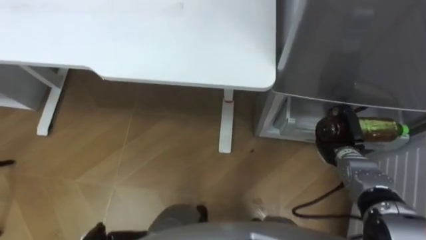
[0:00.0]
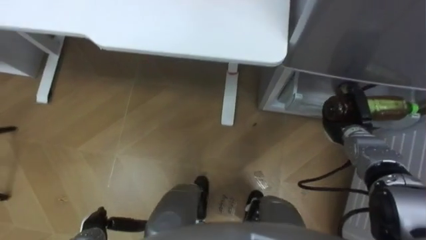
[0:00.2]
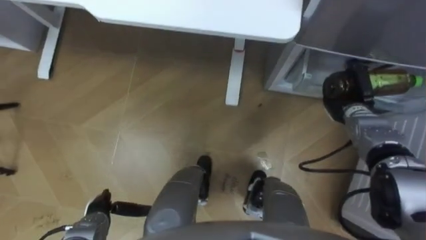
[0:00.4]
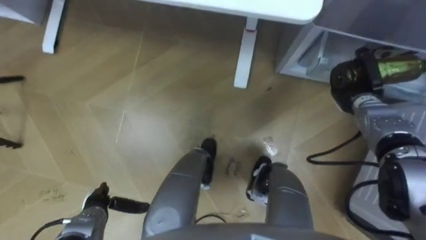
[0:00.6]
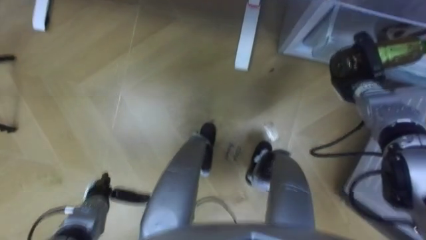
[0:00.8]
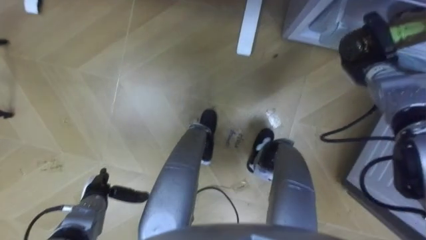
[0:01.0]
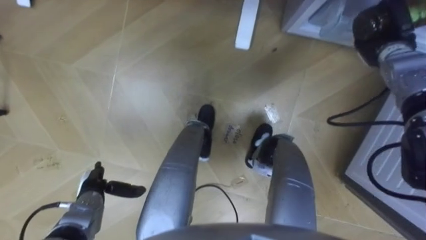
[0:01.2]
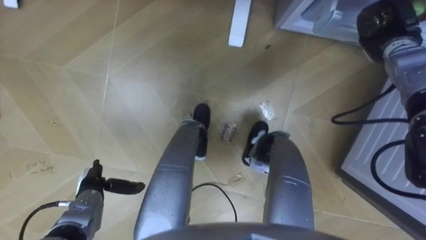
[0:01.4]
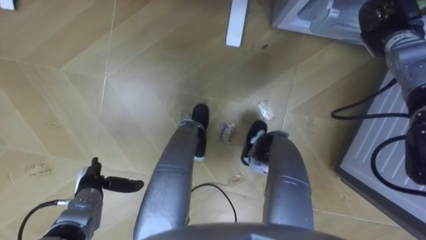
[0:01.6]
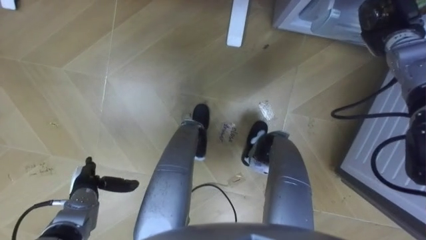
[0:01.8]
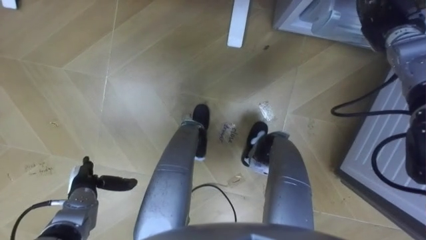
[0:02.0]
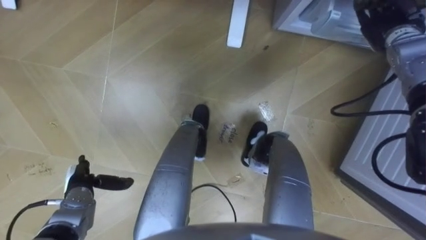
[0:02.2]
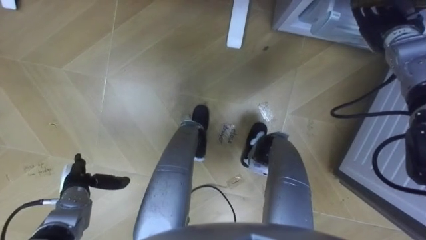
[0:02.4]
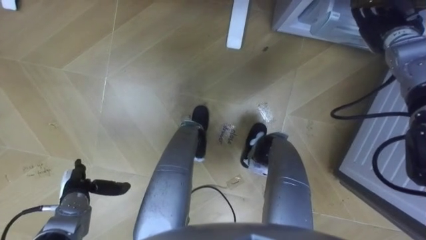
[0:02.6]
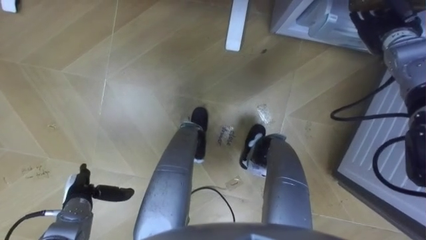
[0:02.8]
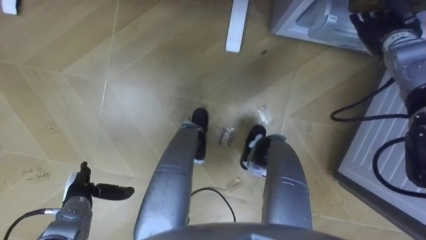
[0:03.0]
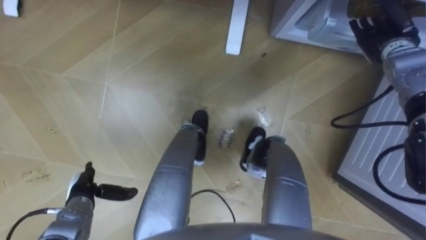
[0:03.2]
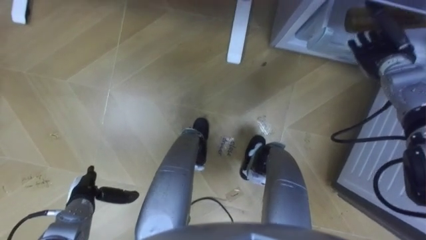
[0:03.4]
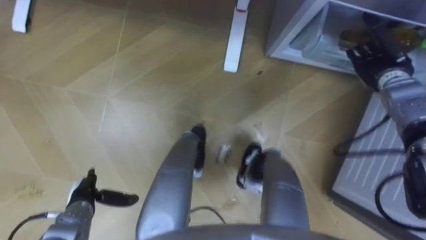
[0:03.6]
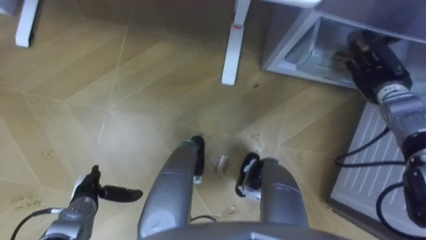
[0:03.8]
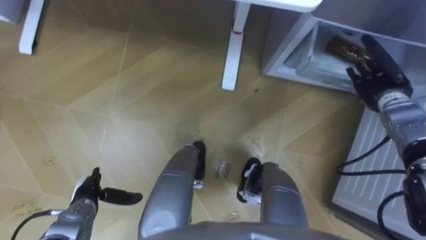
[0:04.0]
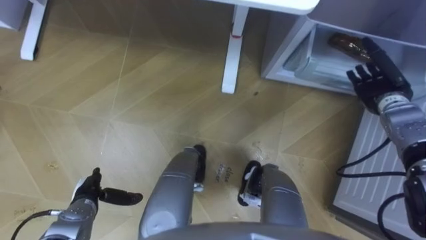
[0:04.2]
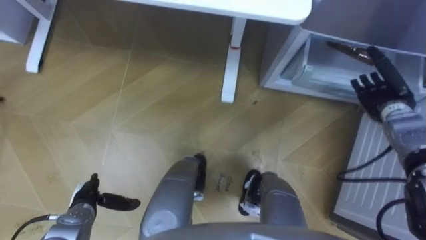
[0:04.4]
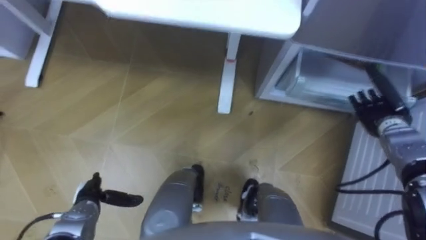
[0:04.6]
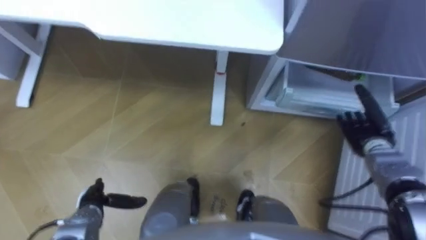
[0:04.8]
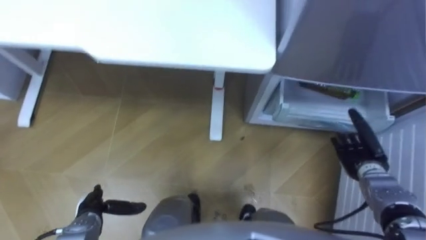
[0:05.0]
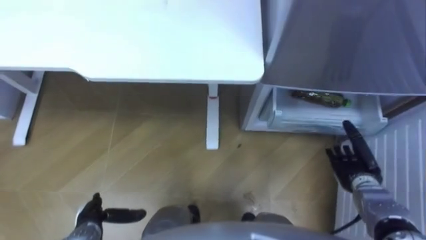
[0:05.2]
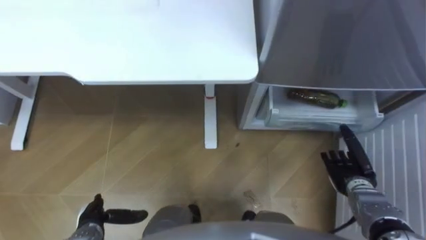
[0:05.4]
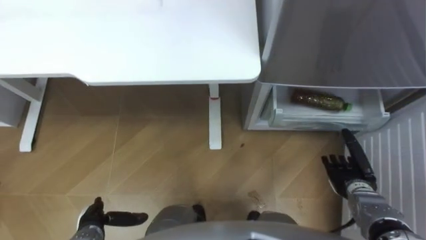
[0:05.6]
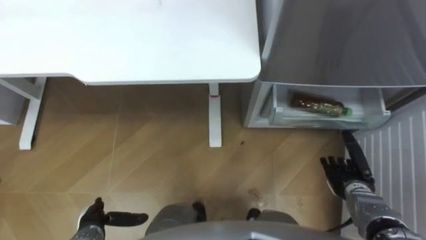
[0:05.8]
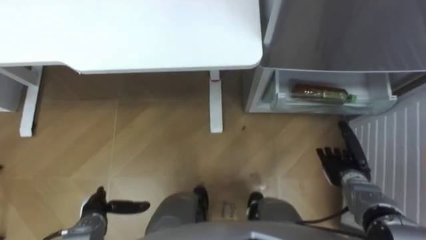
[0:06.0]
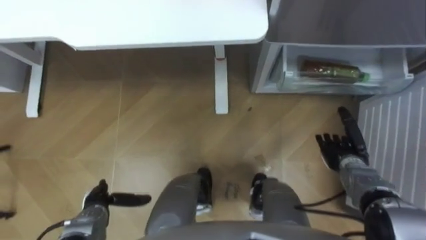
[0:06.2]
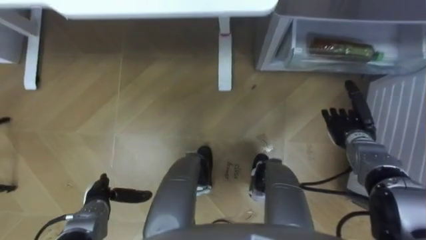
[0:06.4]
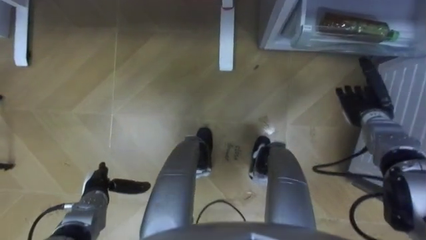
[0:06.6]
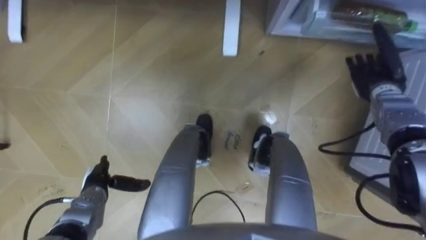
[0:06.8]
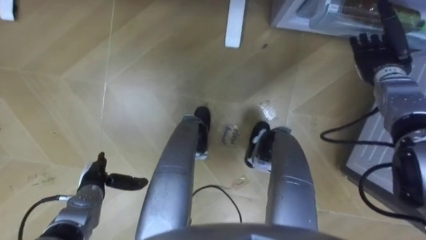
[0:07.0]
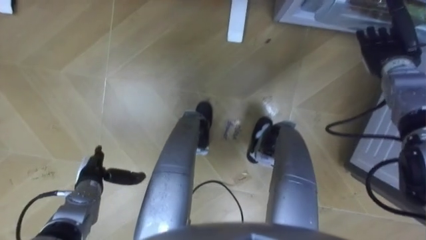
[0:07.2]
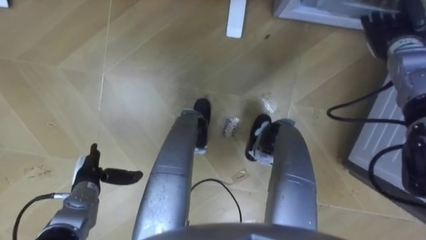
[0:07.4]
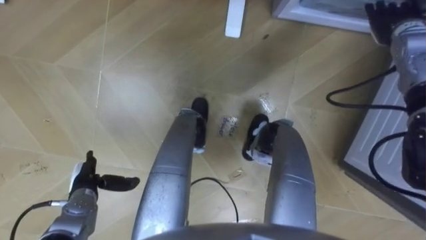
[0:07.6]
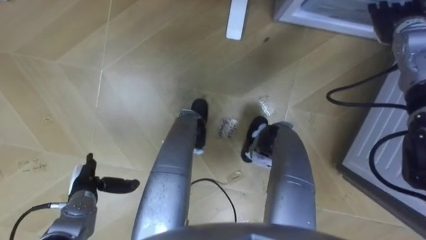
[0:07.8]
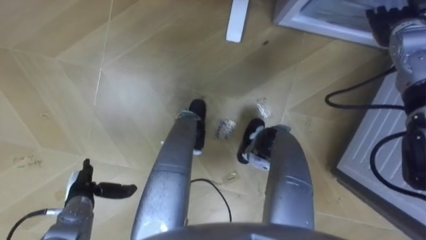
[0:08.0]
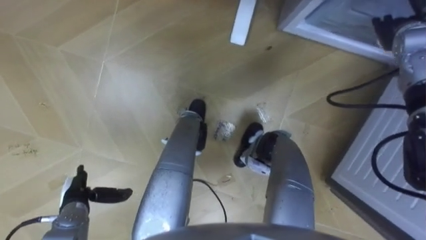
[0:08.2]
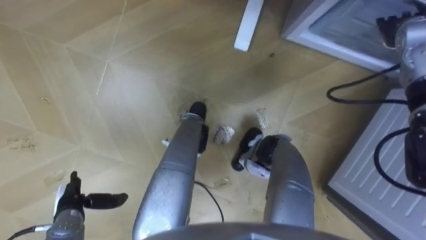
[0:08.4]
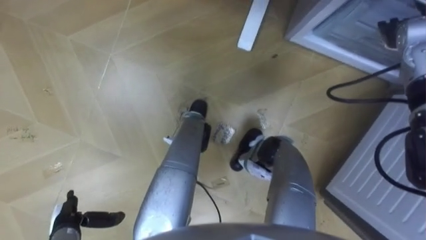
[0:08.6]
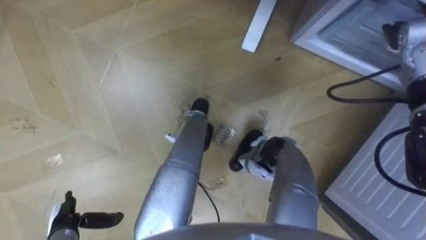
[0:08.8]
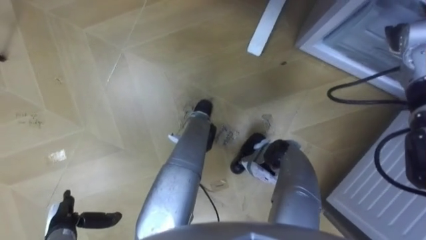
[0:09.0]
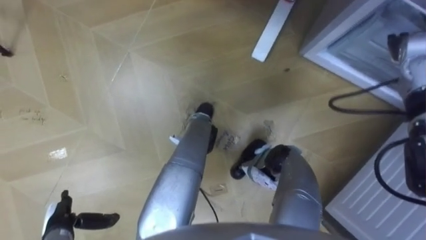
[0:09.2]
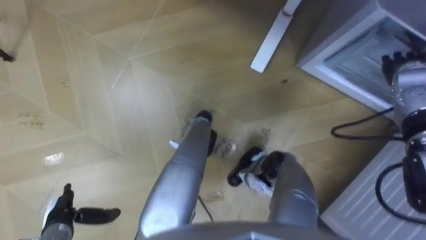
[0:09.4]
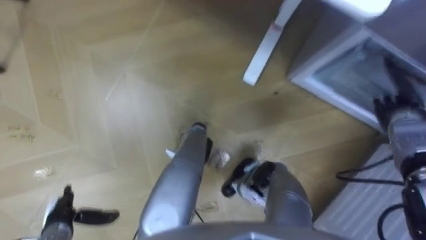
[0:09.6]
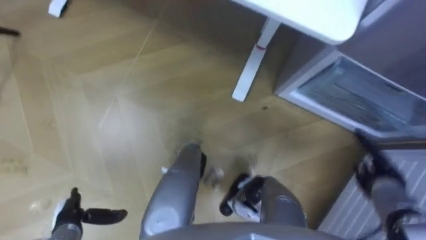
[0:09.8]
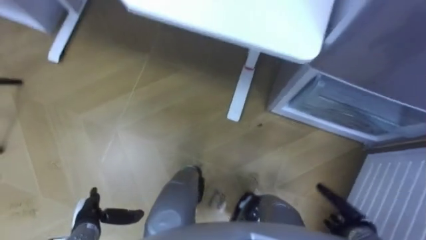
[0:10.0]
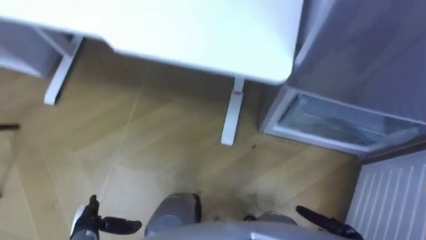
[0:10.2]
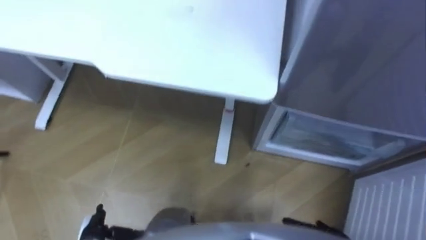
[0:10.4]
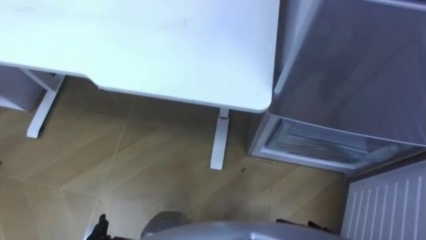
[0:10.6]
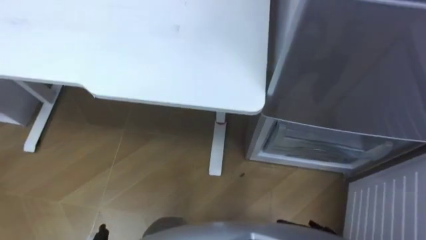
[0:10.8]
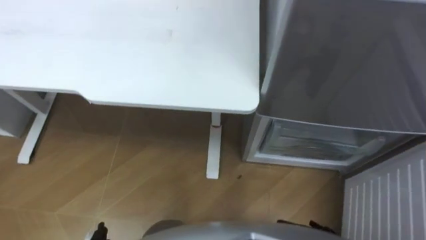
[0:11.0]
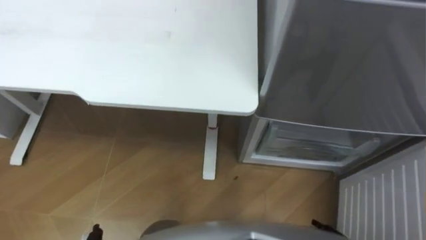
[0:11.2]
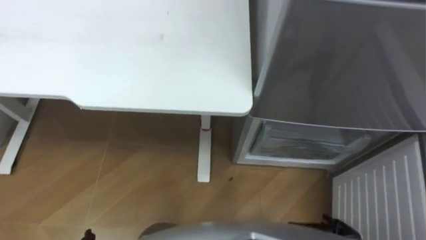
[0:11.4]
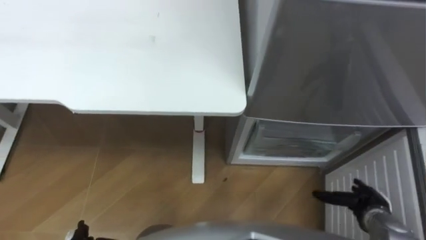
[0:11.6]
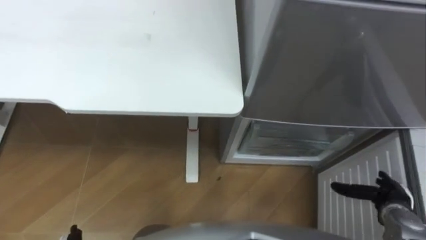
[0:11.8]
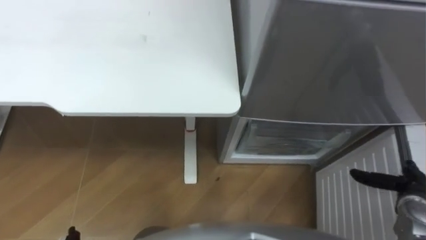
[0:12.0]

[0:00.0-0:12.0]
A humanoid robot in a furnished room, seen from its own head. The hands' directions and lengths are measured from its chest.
Task of the whole recording: Place the drink on the table on the bottom shelf of the refrigerator, then close the drawer and the refrigerator door.
0.0 to 1.6 s: The right hand moves upward and forward, about 25 cm.
1.6 to 3.0 s: The right hand opens its fingers.
3.0 to 4.4 s: The right hand is displaced downward and backward by about 15 cm.
4.4 to 6.0 s: The right hand is displaced backward, downward and to the left by some 20 cm.
6.0 to 7.6 s: The left hand heads forward, covering approximately 5 cm. The right hand shifts approximately 30 cm upward and forward.
7.6 to 9.0 s: The left hand heads backward, covering approximately 10 cm.
9.0 to 10.4 s: The left hand moves to the right, approximately 5 cm.

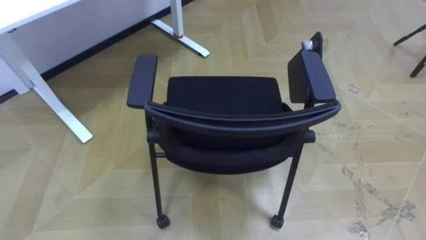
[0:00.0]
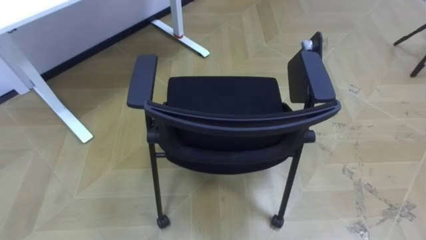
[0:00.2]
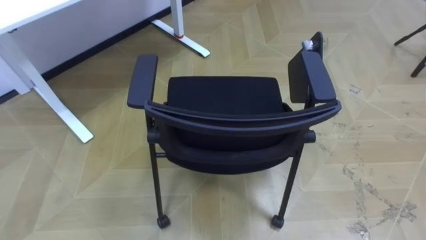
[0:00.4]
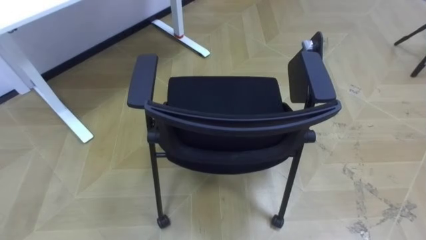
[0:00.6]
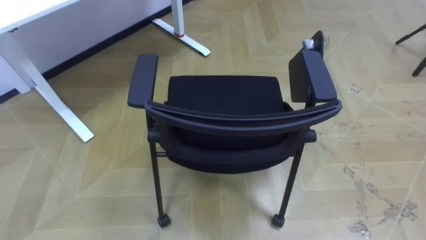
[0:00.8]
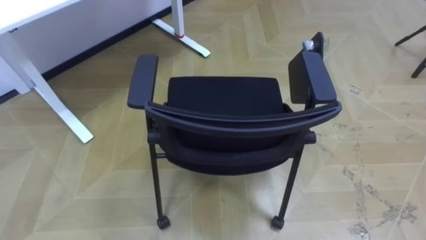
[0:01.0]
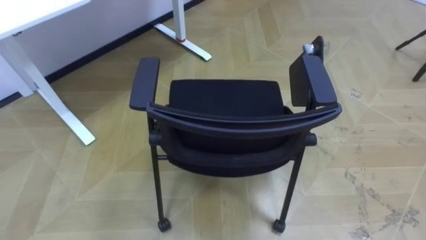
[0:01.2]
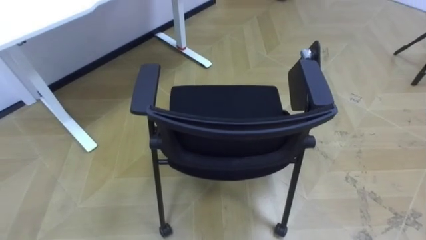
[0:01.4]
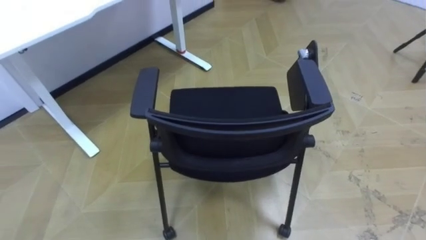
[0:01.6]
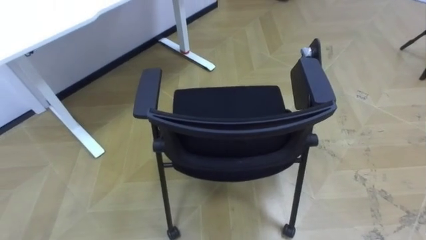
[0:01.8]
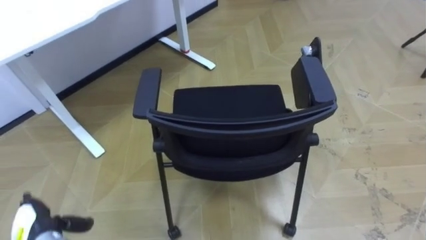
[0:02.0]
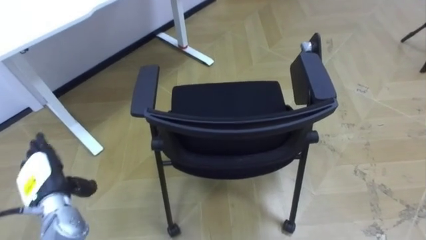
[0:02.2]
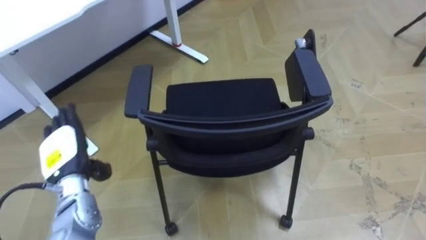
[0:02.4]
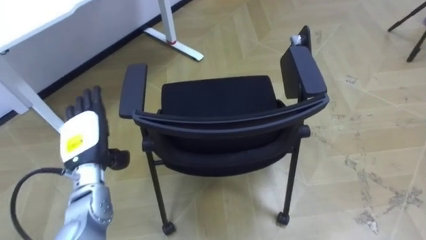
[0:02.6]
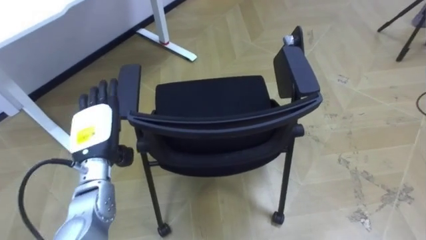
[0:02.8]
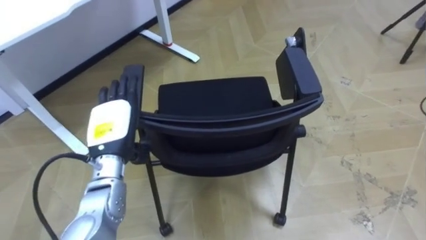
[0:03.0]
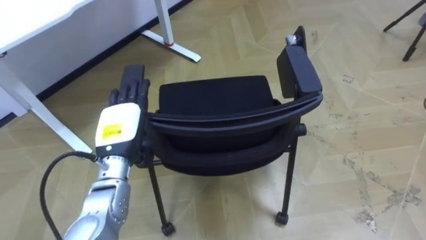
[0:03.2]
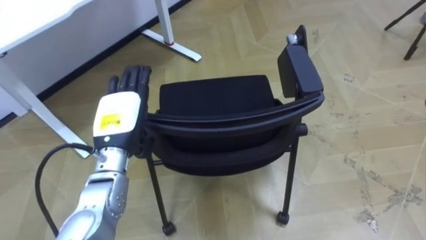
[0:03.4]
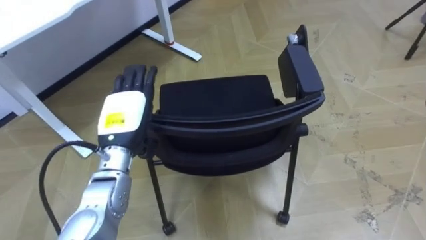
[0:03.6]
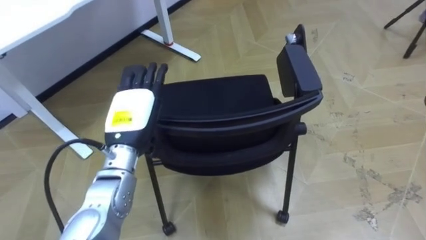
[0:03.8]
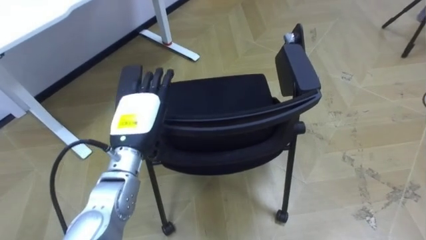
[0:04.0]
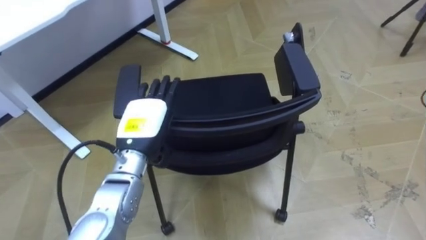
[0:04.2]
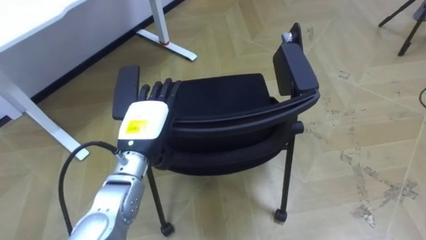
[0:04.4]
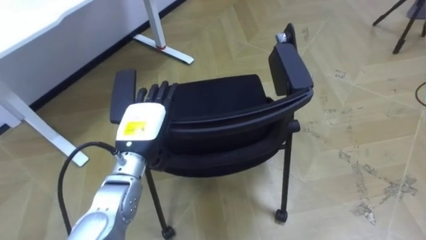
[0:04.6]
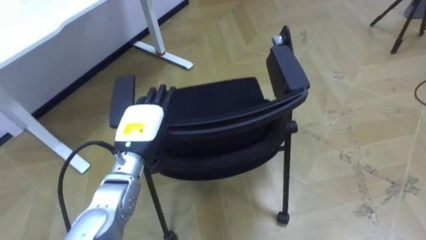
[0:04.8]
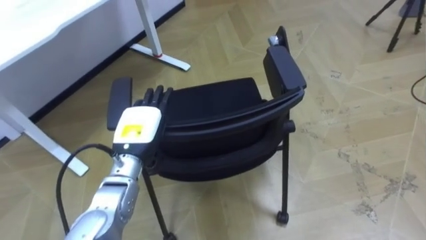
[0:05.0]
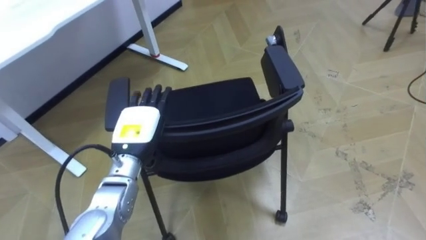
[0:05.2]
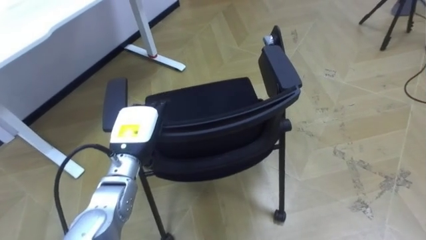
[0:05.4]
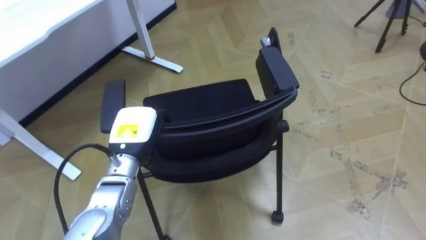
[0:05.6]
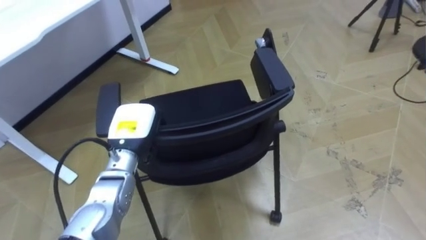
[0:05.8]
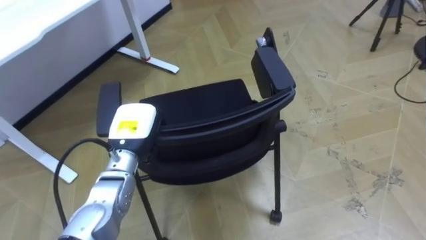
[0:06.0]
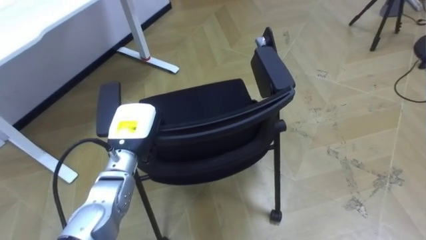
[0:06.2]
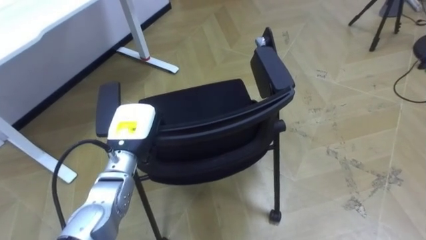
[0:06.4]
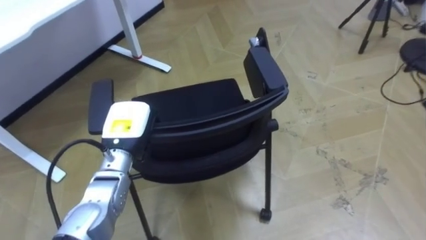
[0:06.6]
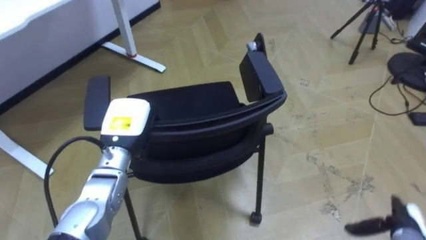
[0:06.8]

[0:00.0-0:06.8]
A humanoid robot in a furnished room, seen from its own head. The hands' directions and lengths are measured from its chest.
Task of the whole recording: Push the chair under the table.
2.8 to 4.0 s: The left hand moves to the right, approximately 10 cm.
5.4 to 6.8 s: The left hand closes.
